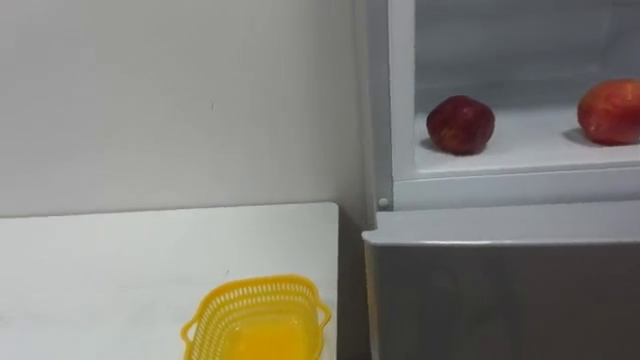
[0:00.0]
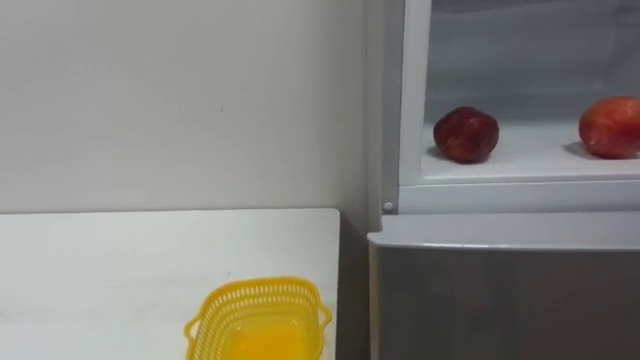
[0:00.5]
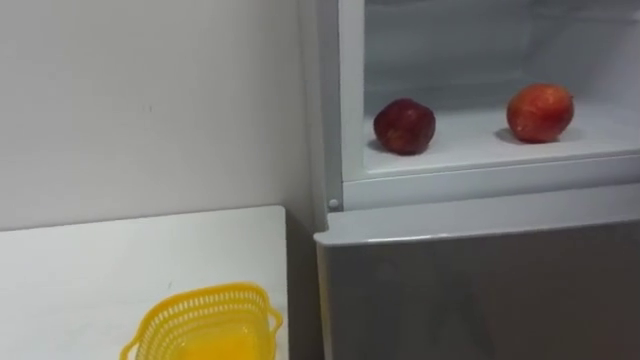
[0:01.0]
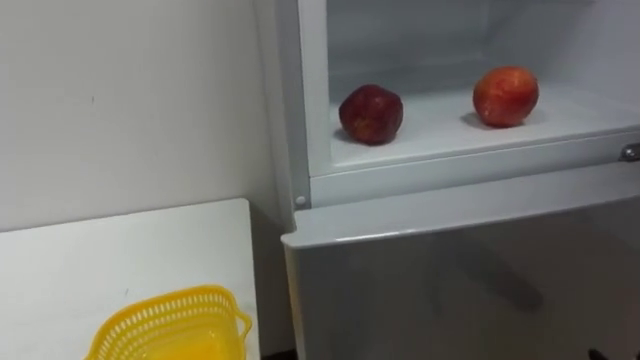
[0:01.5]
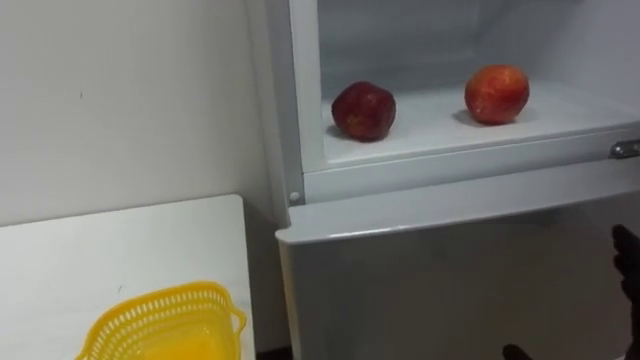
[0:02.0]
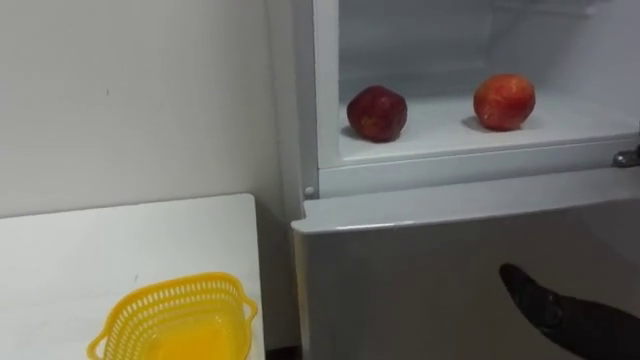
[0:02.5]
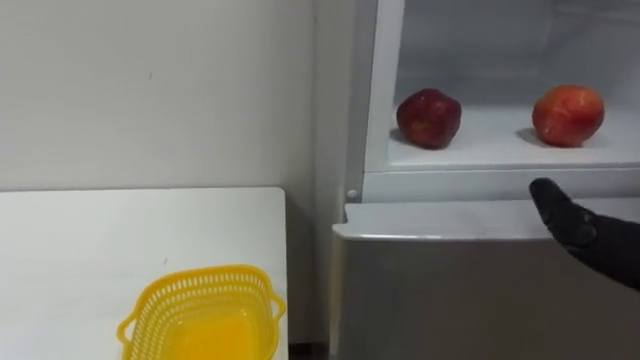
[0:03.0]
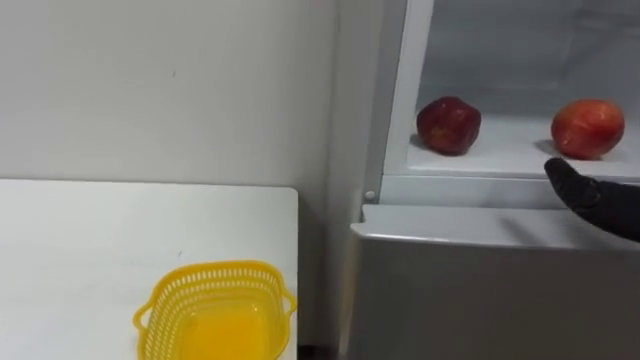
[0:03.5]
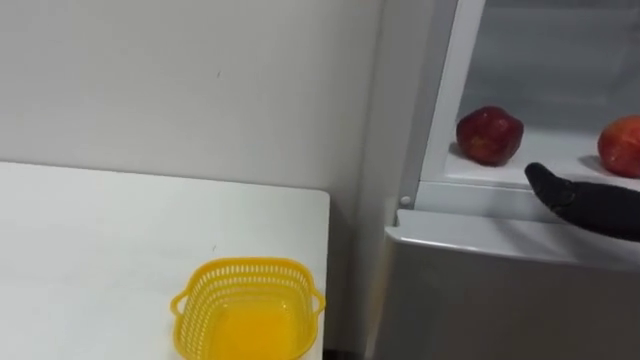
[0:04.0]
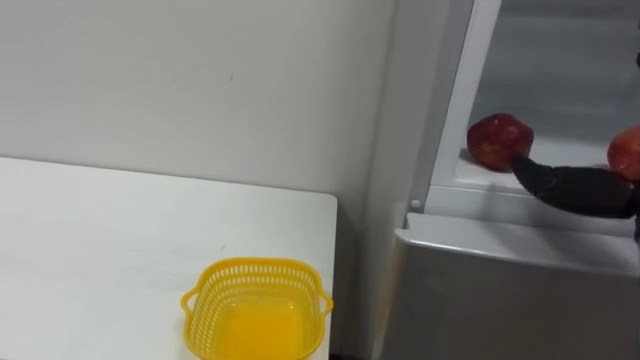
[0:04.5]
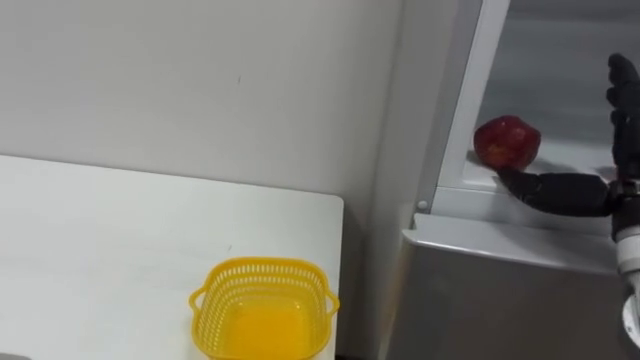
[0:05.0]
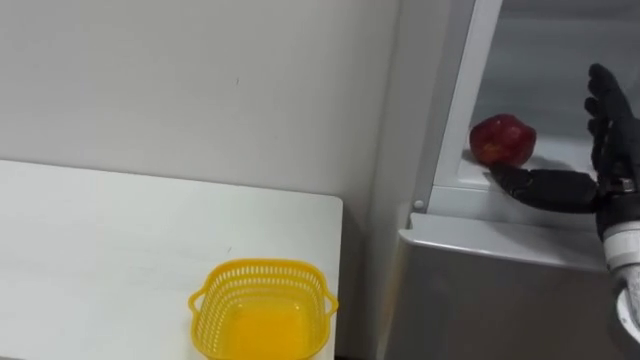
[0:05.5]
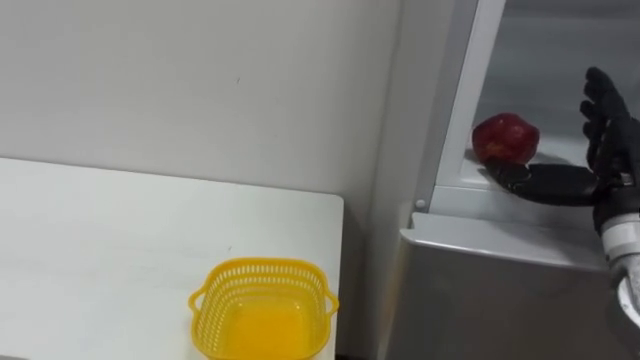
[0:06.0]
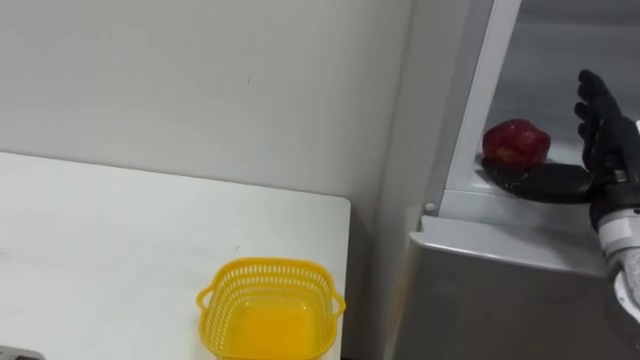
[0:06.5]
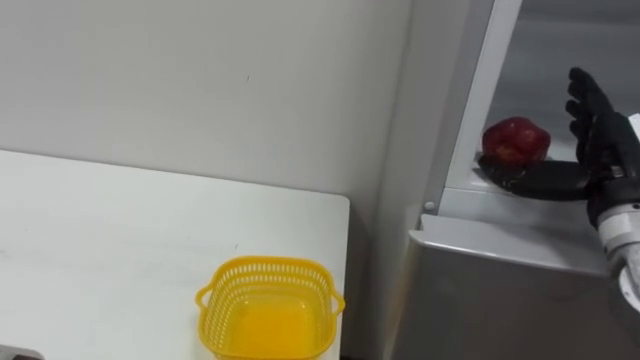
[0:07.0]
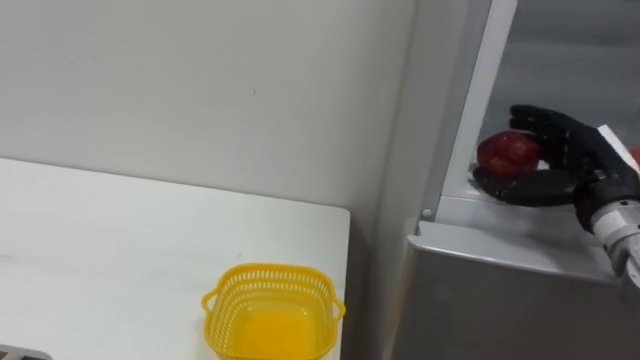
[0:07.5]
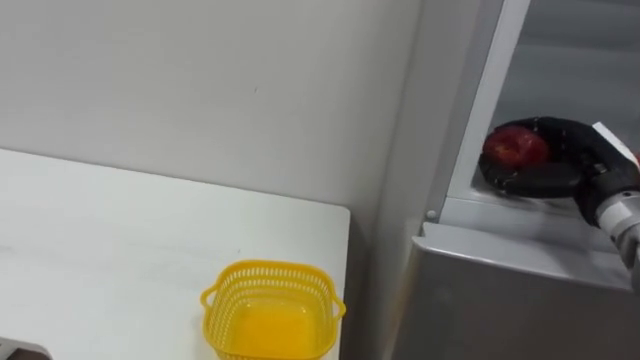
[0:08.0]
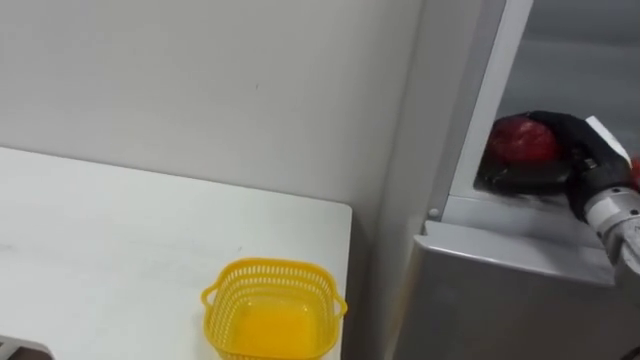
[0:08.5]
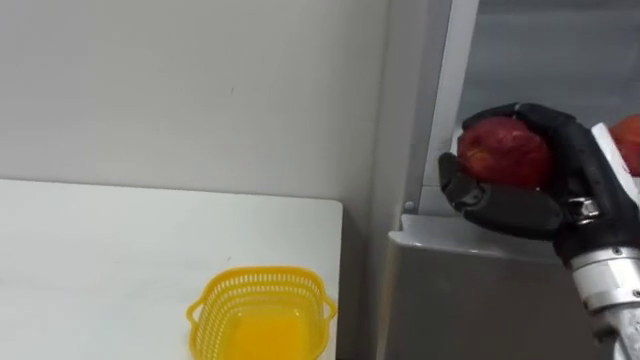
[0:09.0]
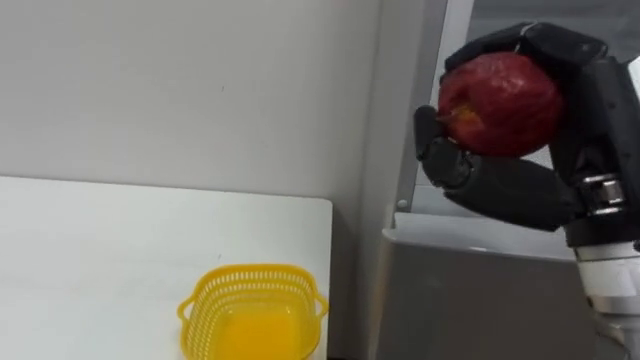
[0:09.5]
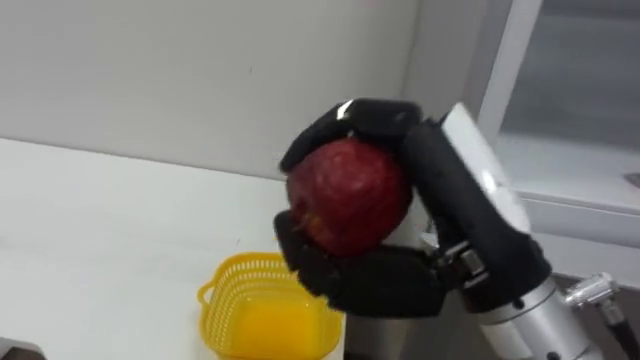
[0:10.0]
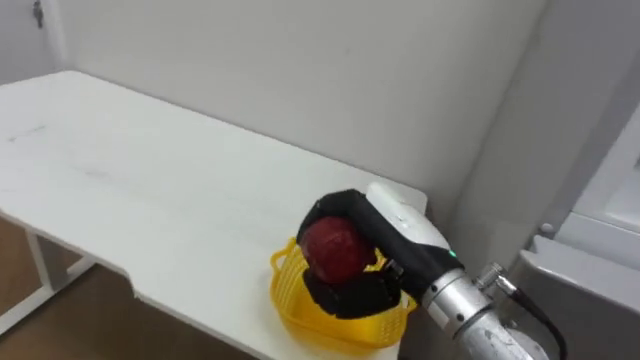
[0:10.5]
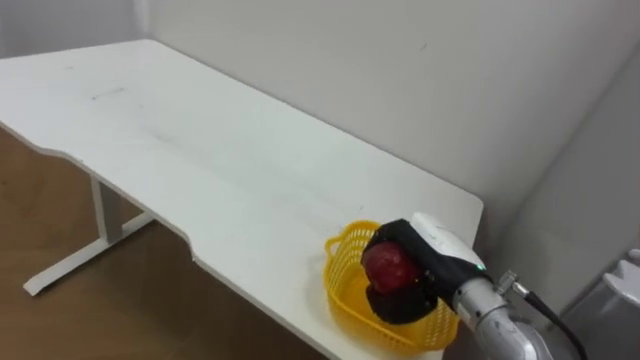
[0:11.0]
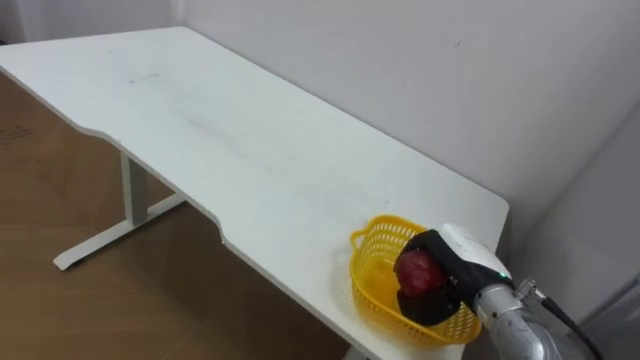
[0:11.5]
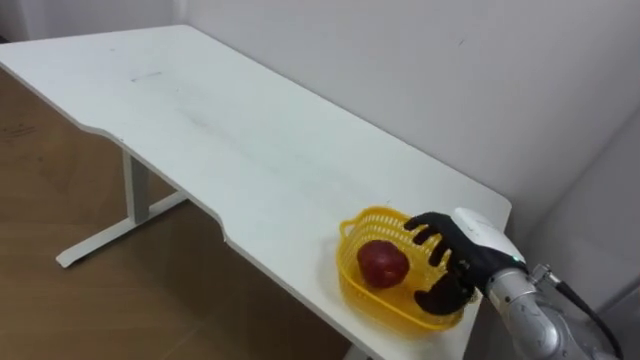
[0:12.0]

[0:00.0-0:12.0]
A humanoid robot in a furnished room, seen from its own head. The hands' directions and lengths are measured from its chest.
Task of the whole recording: Open the refrigerator door, take out the apple and the pomegranate, place them in the fruit basket on the left, and close the refrigerator door.
0:06.0 to 0:08.0: The right hand ends up roughly 5 cm from where it was, and closes its fingers.
0:08.0 to 0:10.0: The right hand heads to the left, backward and upward, covering about 30 cm.
0:10.0 to 0:12.0: The right hand heads downward, forward and to the right, covering approximately 25 cm.

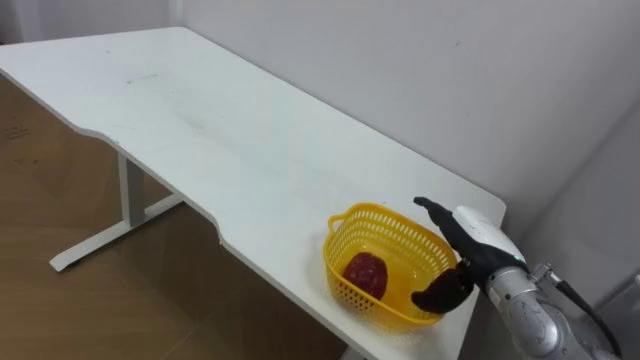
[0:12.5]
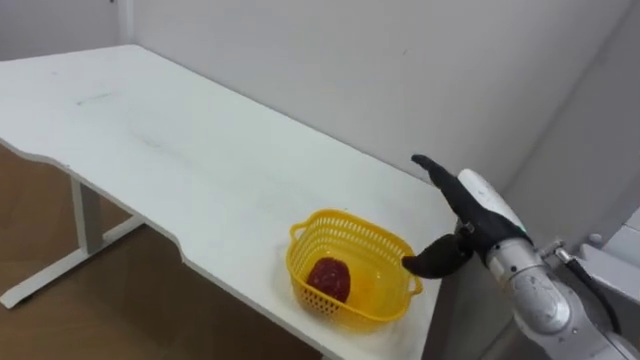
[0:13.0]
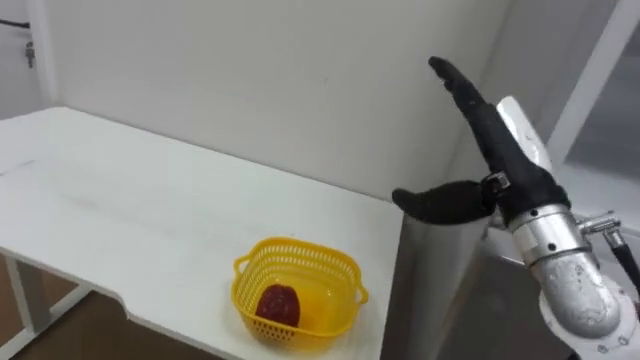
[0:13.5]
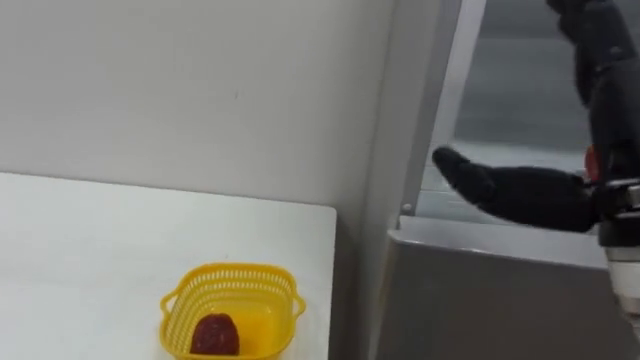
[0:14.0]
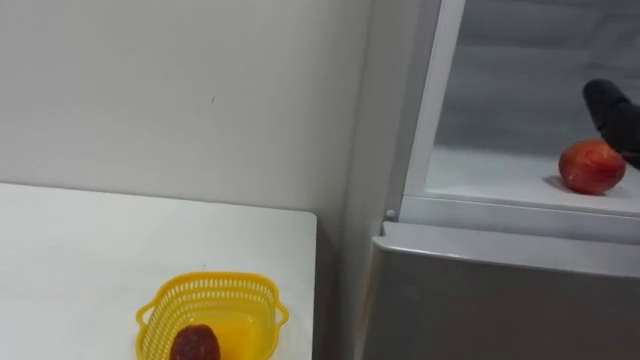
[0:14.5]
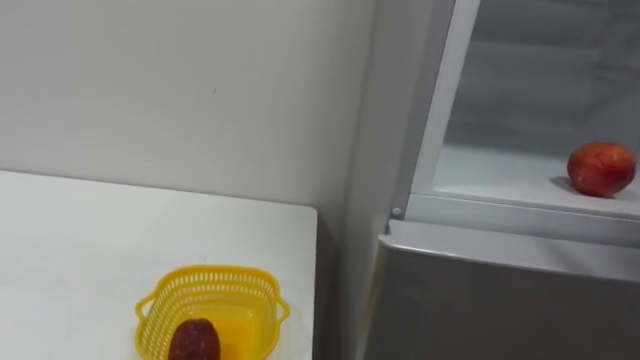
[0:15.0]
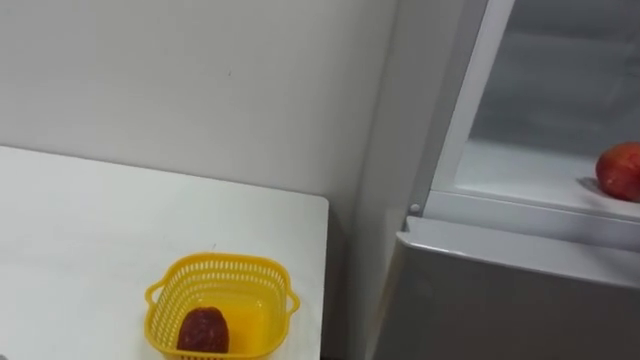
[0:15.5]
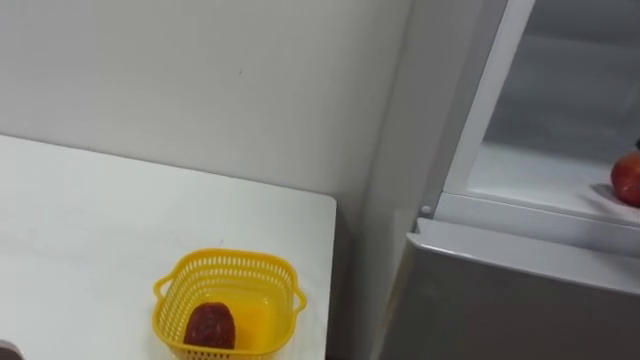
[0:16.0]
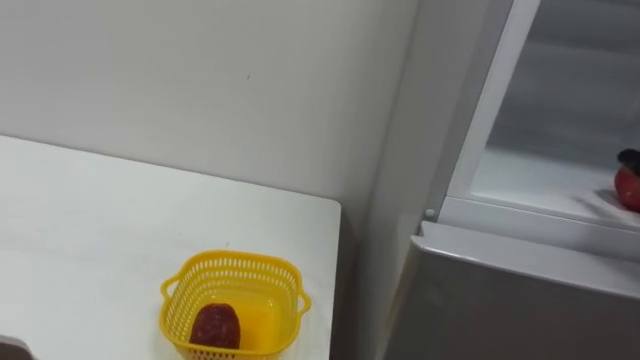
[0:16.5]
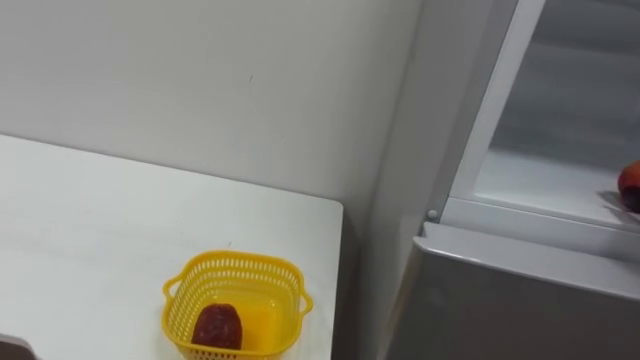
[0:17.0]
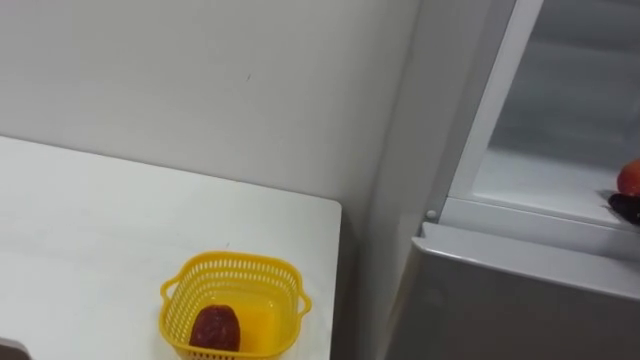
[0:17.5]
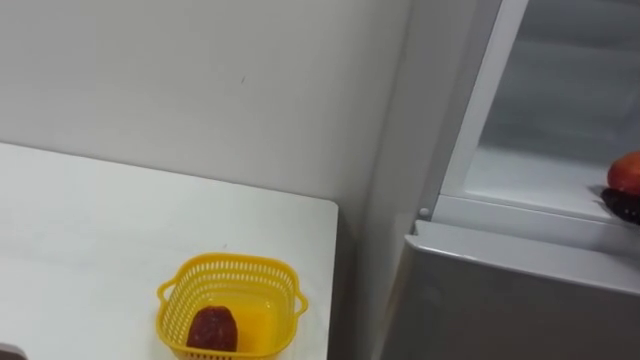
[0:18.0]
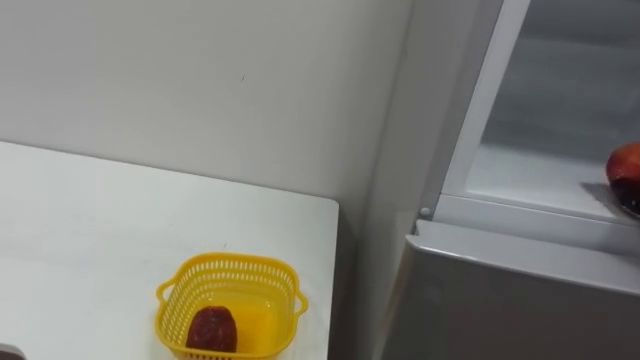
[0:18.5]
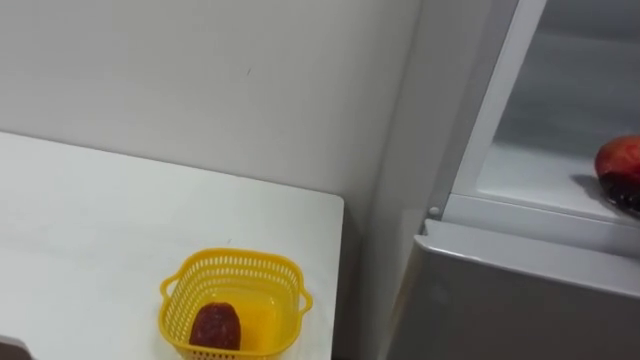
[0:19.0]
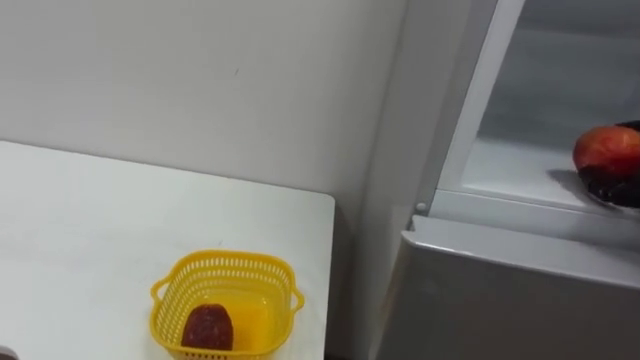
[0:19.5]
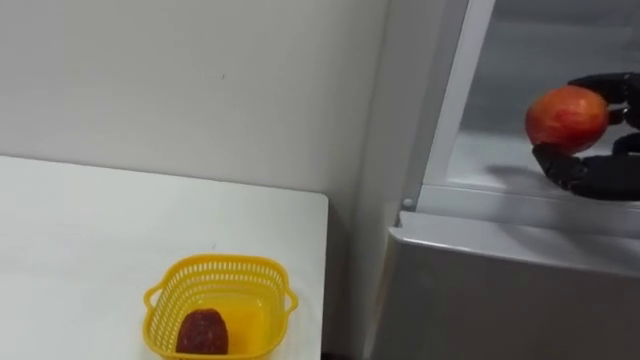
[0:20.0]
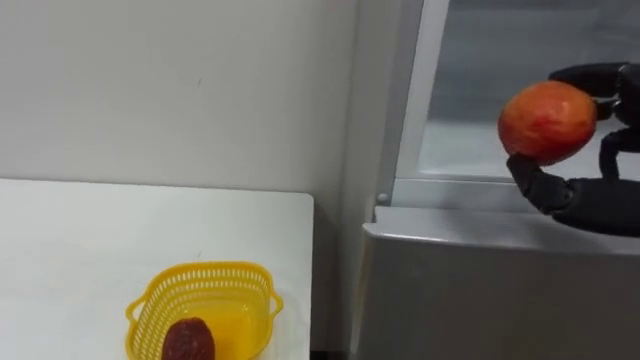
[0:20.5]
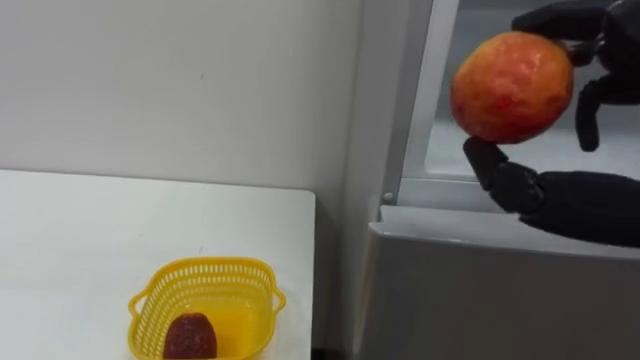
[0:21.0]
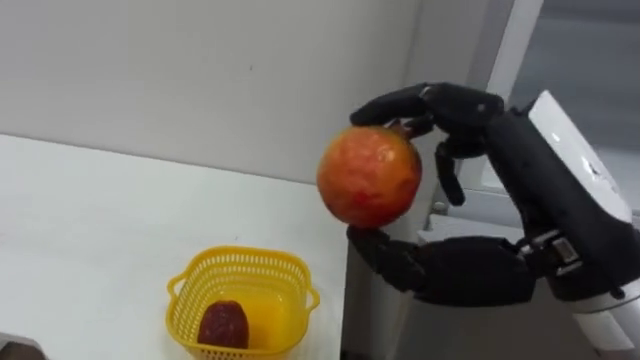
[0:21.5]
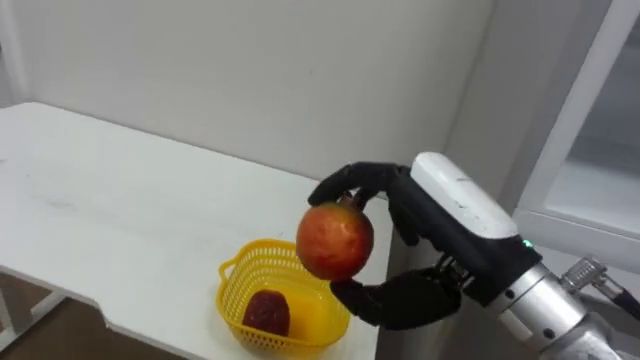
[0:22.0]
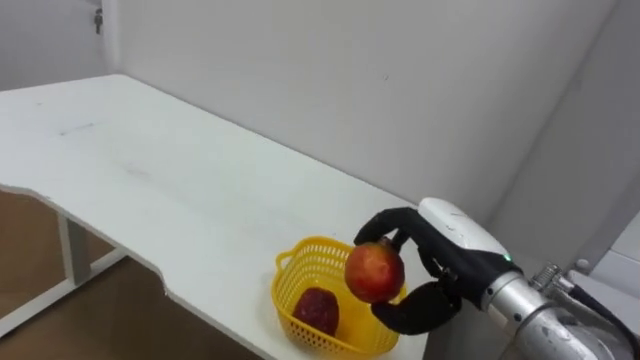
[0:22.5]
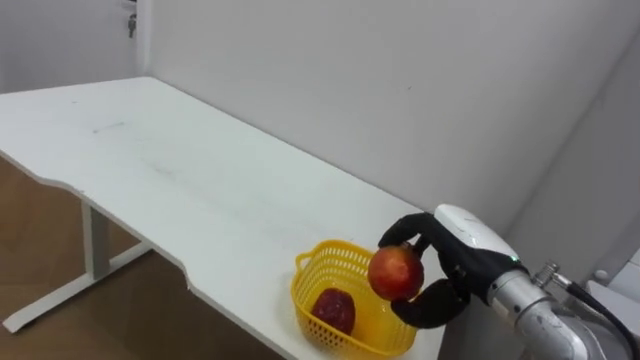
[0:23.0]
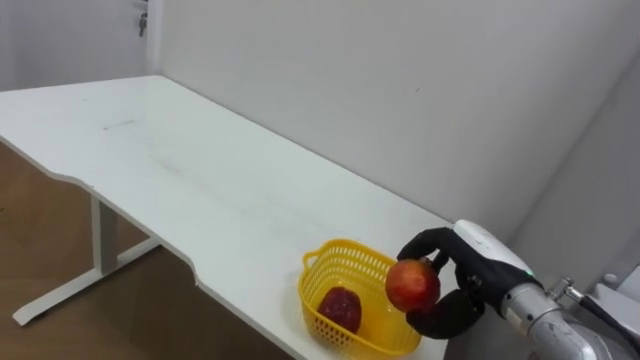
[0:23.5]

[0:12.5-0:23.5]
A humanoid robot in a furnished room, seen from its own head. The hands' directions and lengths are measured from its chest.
Task of the whole recording: Open the refrigerator door, take out the apple and the pomegranate, place them in the fruit basket on the left, and close the refrigerator door.
0:21.5 to 0:23.5: The right hand goes about 25 cm downward and forward.
